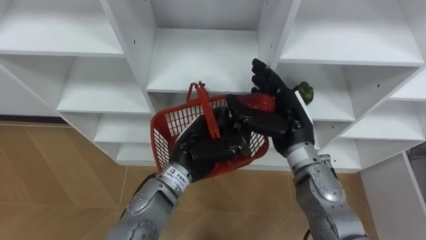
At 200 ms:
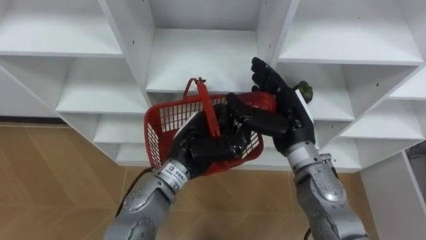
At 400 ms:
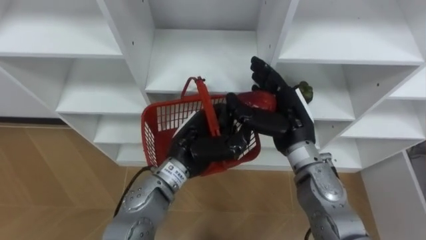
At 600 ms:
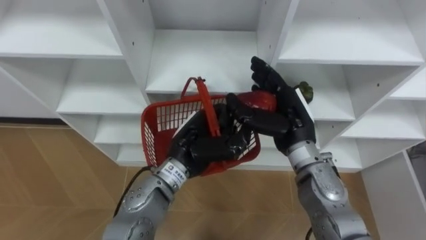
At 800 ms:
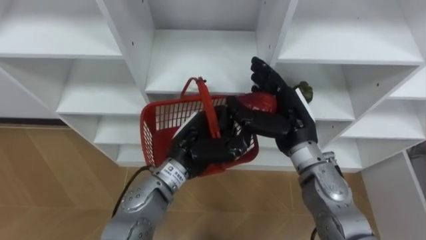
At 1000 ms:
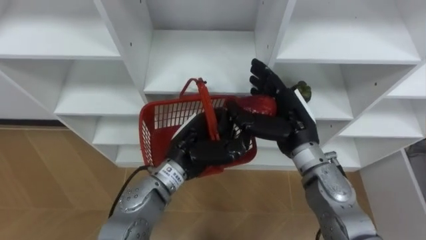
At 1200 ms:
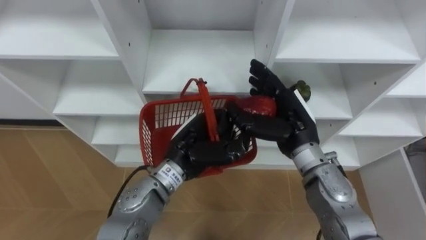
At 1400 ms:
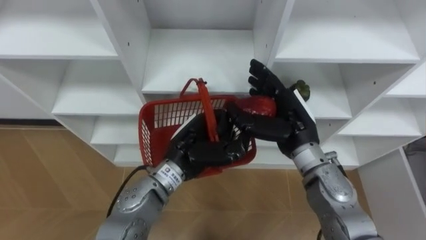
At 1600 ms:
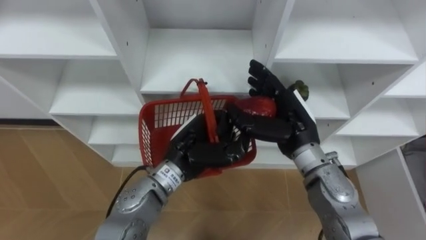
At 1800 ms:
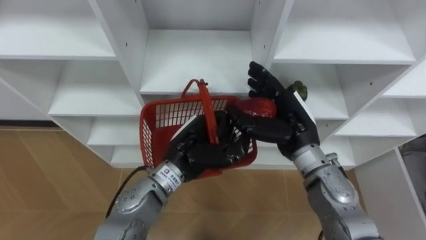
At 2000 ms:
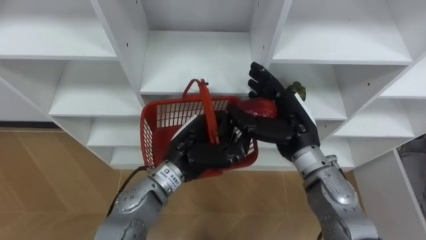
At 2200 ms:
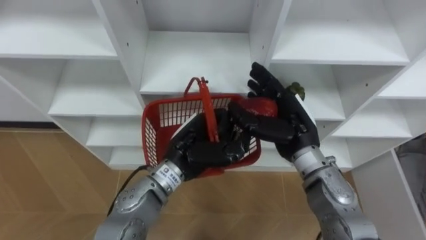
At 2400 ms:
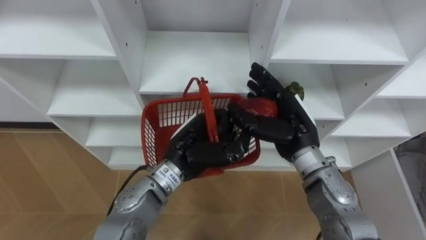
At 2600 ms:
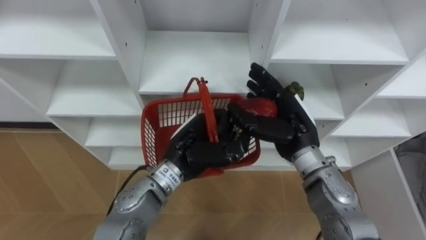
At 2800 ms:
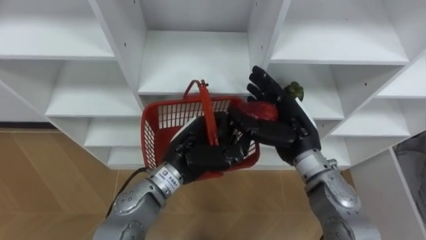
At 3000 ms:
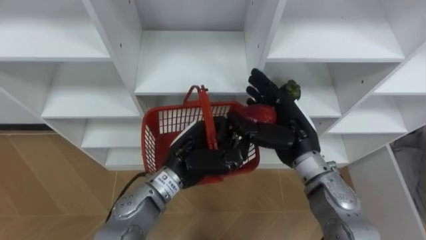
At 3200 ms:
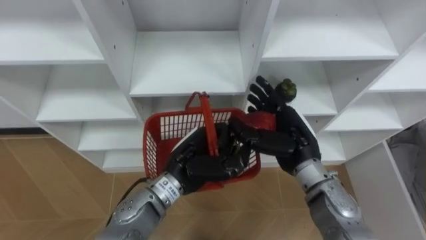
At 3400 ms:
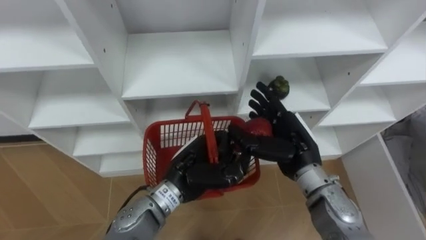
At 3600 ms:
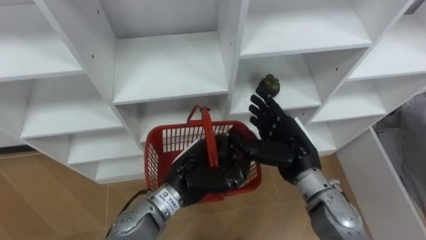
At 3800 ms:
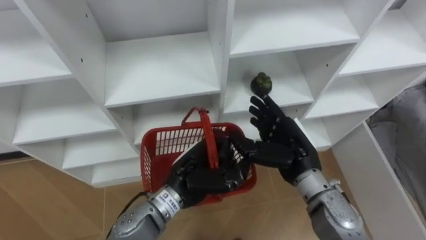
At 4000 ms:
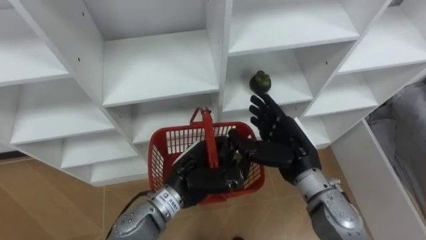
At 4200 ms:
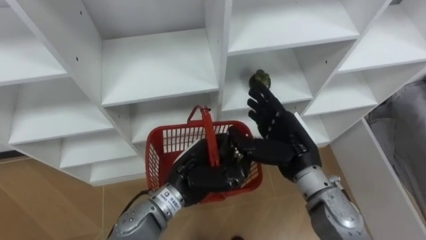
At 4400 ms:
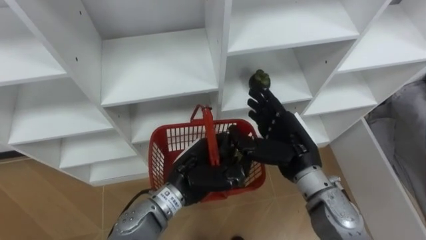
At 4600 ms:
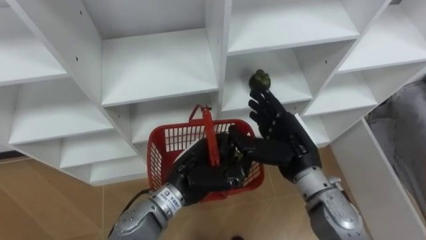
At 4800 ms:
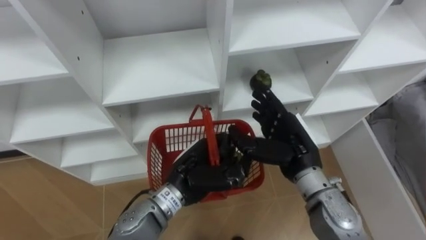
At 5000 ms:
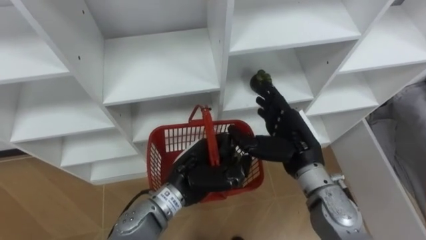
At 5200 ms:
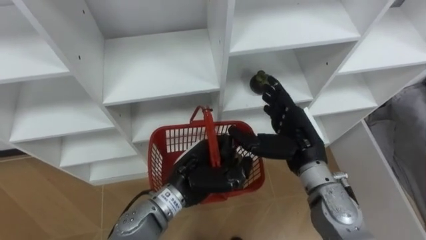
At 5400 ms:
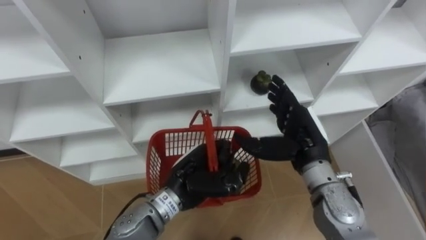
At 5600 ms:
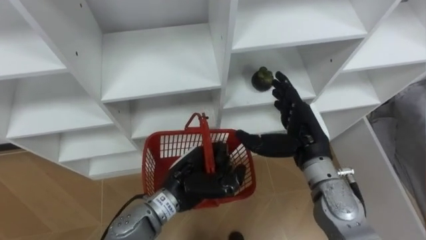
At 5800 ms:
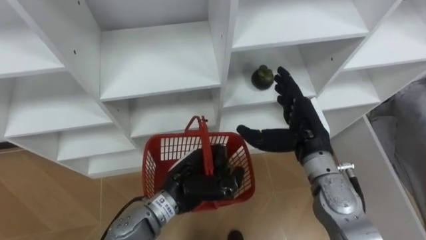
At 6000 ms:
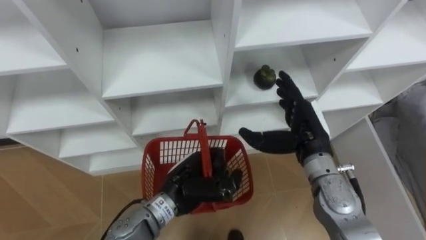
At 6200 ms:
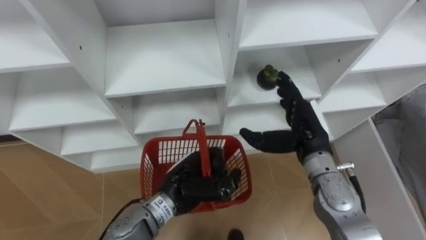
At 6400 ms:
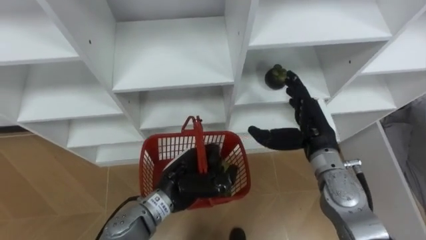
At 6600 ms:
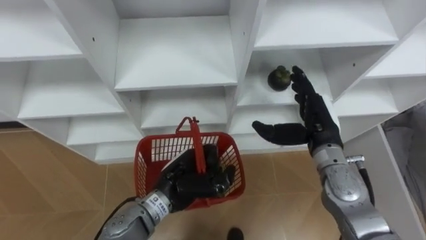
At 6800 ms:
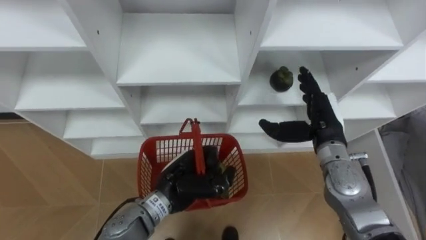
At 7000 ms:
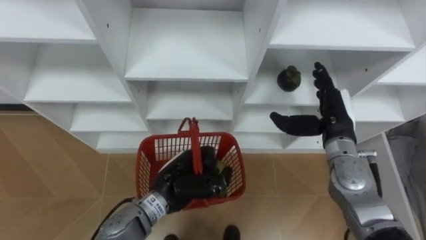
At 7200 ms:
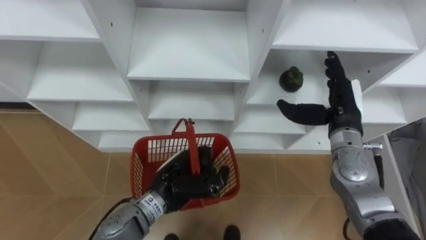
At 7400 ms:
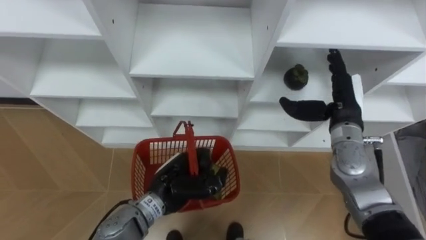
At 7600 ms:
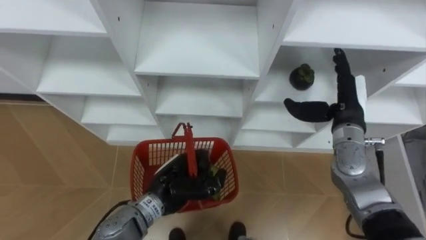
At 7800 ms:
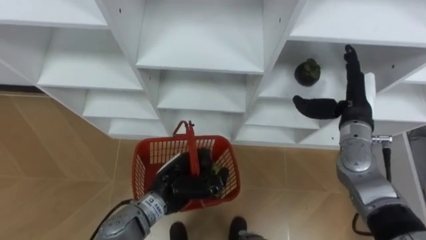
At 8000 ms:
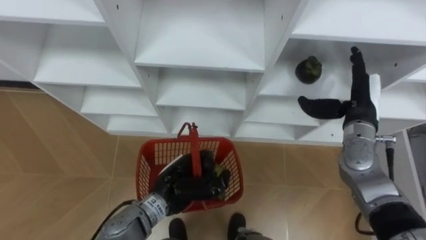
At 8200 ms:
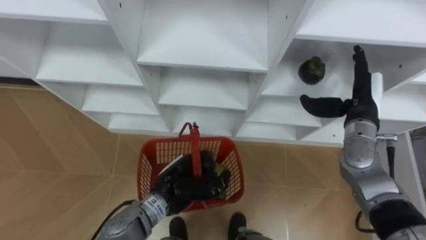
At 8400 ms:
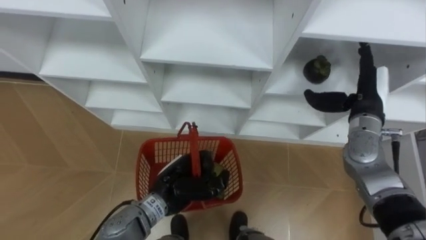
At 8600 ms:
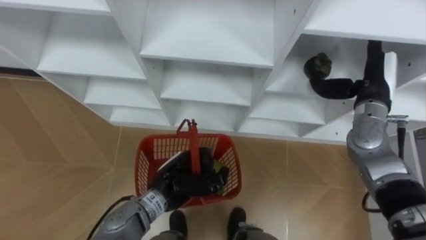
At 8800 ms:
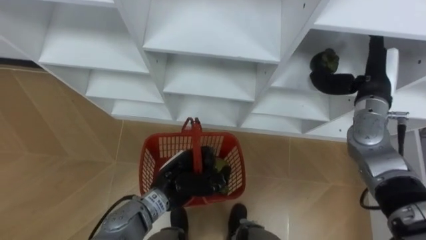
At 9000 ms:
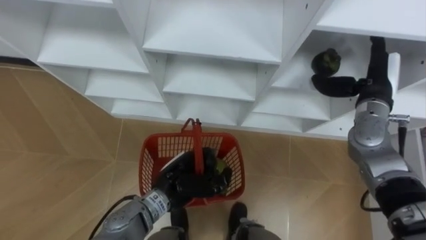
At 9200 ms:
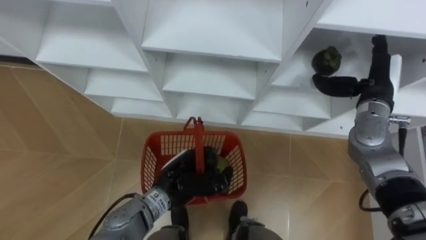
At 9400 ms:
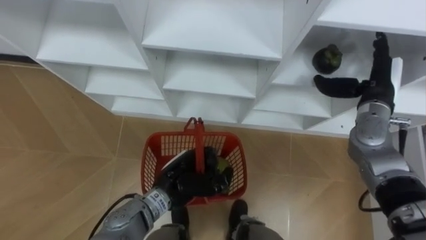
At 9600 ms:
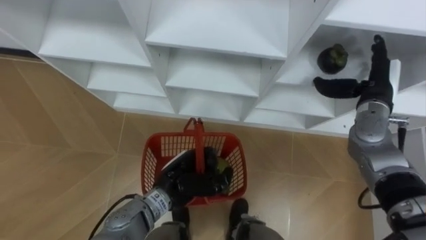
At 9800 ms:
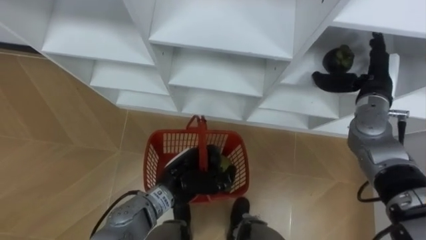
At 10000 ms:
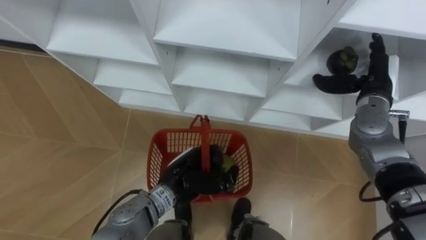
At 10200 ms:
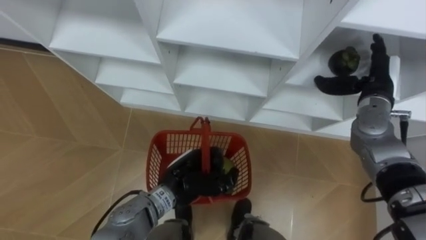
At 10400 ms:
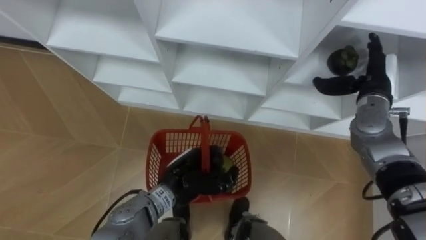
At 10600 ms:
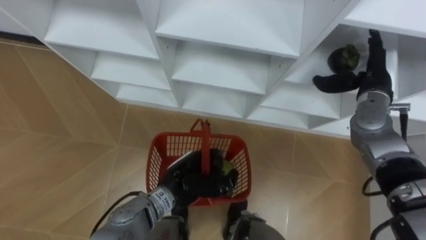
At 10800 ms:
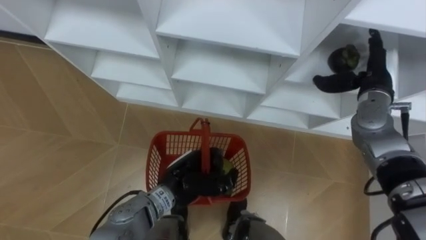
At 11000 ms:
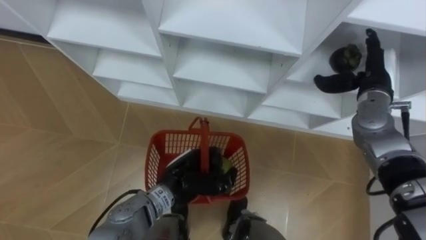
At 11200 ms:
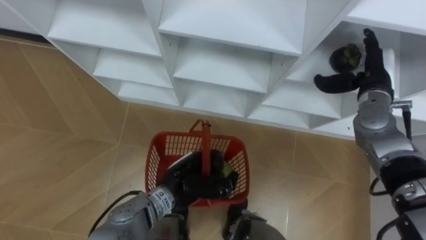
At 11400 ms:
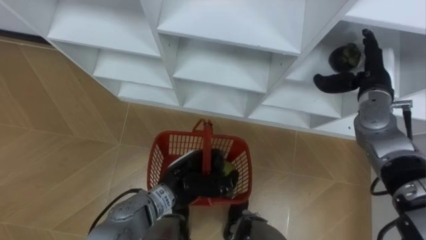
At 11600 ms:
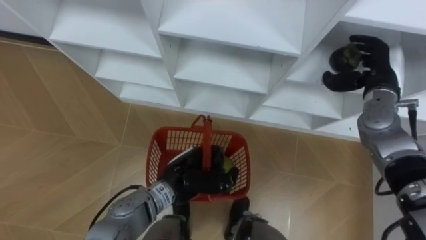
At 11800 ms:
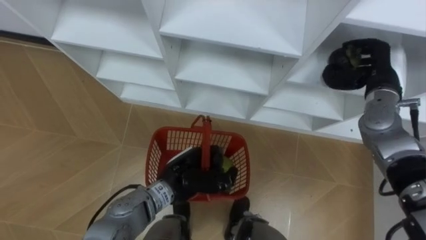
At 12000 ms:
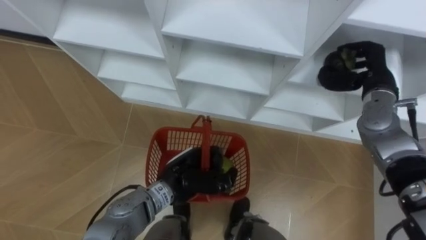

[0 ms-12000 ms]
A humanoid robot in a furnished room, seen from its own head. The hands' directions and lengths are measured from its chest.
Task of the whole recording: Hold the basket and collect the fruits from 3 different cells of the closet into it.
0 ms to 1600 ms: The hands stay close to where they were, moving slightly.
6000 ms to 7600 ms: The right hand travels to the right by about 10 cm.
7600 ms to 9000 ms: The right hand ends up some 5 cm from where it was.
10400 ms to 12000 ms: The right hand closes.

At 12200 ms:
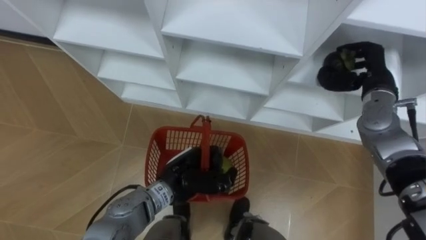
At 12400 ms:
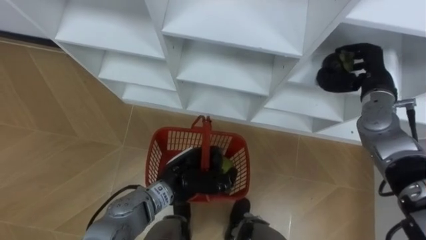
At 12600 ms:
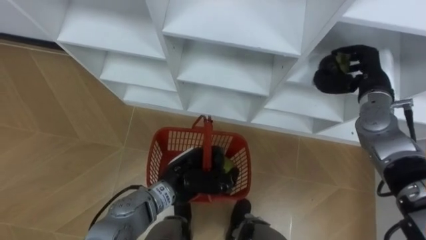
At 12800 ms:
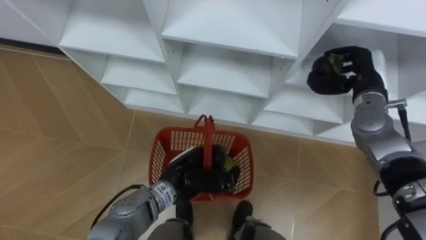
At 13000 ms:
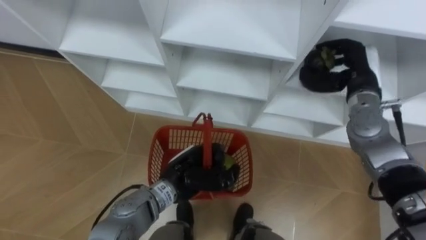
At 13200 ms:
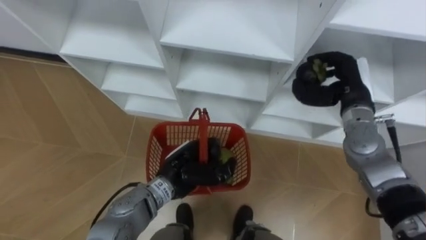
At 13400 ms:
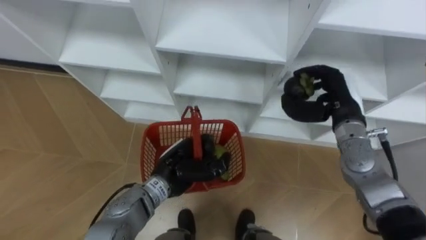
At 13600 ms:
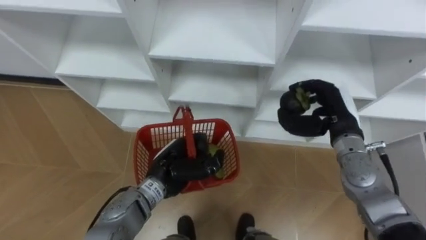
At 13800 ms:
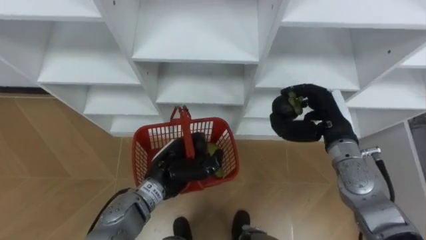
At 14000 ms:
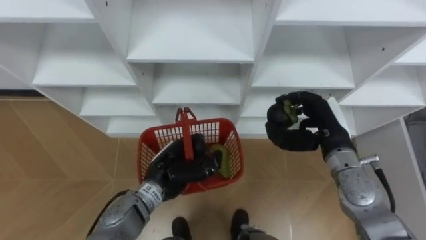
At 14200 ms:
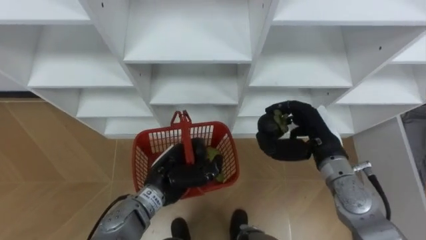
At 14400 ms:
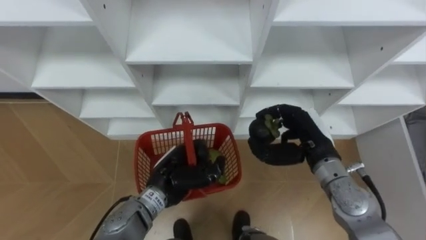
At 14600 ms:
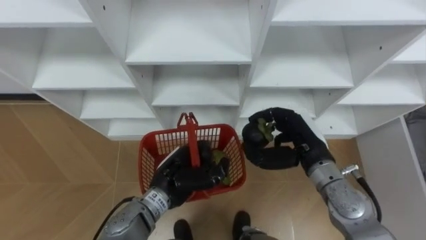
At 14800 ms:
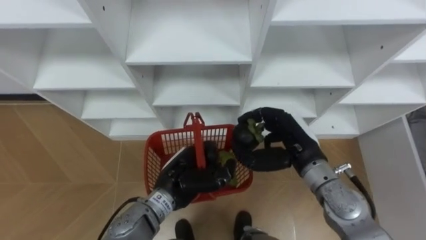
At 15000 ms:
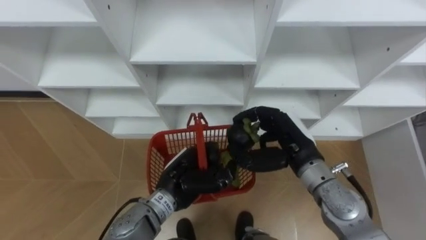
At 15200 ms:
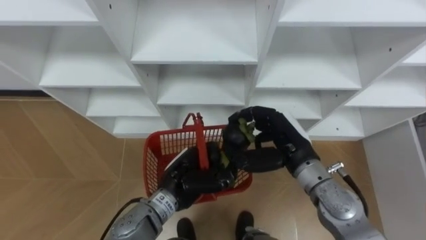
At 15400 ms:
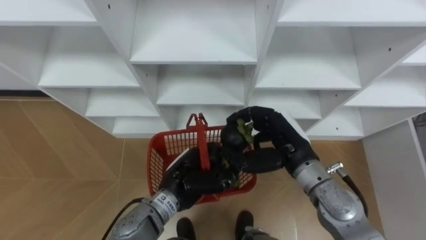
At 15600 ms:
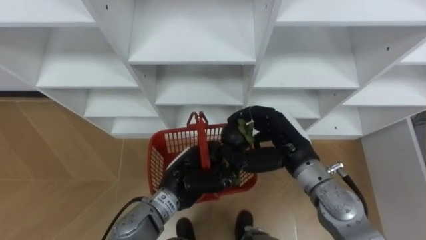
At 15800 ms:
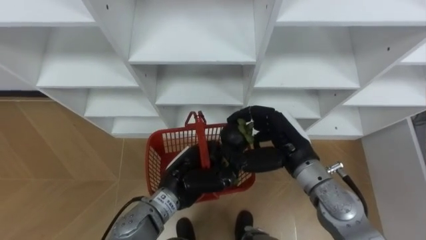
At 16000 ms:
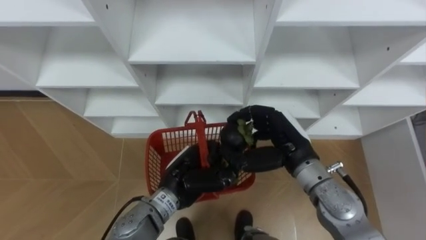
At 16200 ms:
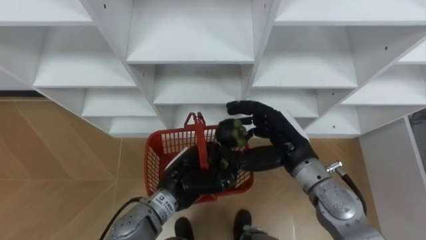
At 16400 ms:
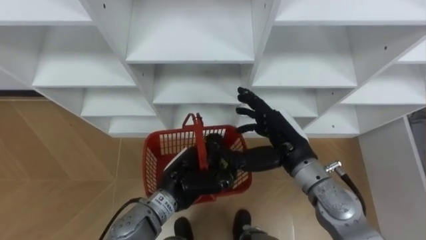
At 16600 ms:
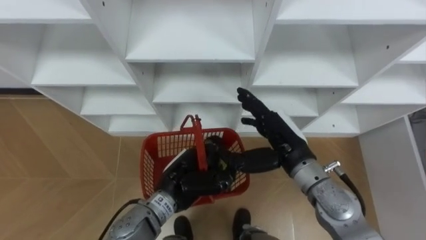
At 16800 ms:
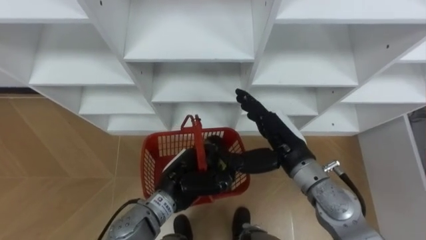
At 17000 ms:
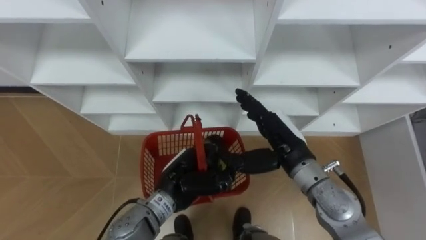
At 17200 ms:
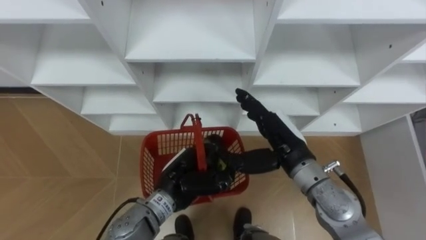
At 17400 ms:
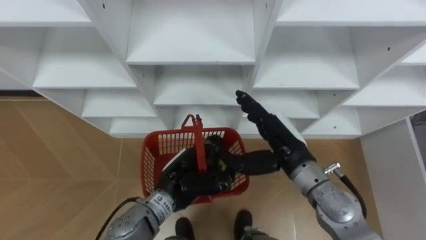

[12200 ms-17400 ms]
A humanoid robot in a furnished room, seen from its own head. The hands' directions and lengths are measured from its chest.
Task of the whole recording: Hold the basket and collect the fruits from 3 different cells of the closet into it.
12200 ms to 14000 ms: The right hand goes some 10 cm backward and to the left.
14000 ms to 15600 ms: The right hand travels to the left by roughly 10 cm.
15600 ms to 17400 ms: The right hand opens.
